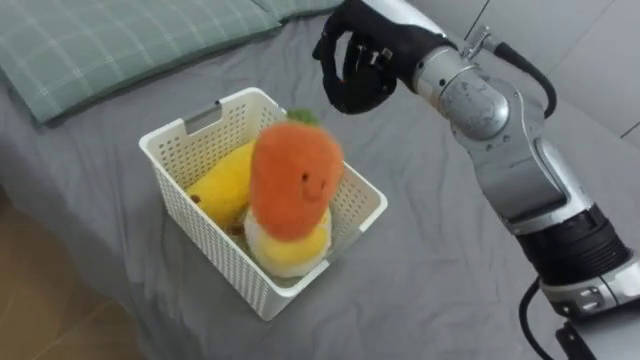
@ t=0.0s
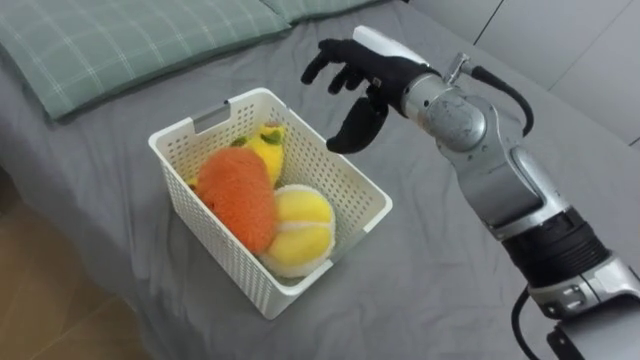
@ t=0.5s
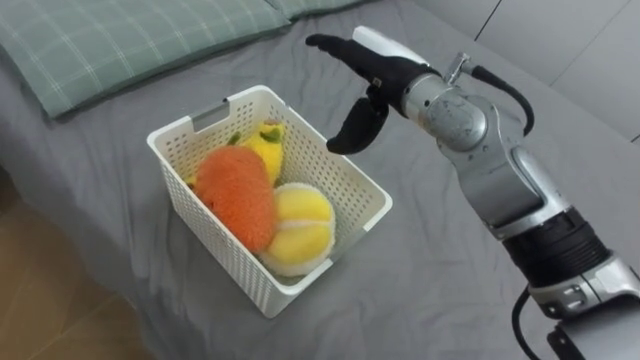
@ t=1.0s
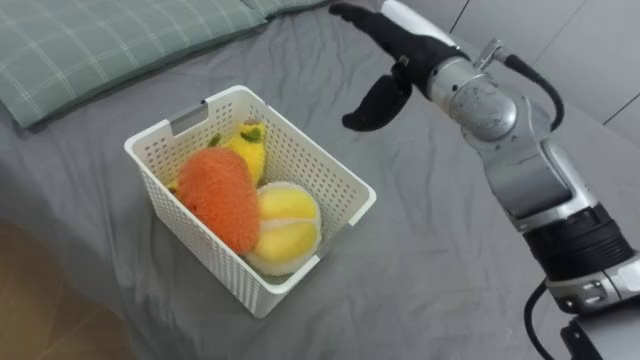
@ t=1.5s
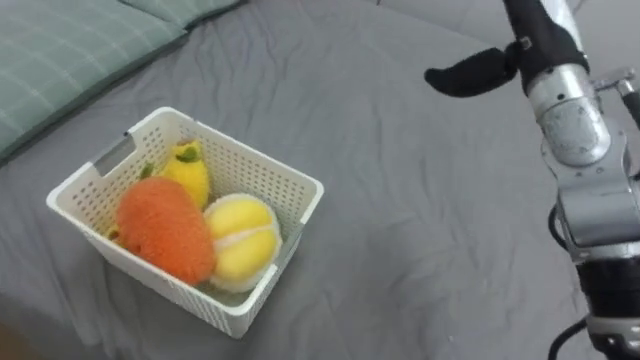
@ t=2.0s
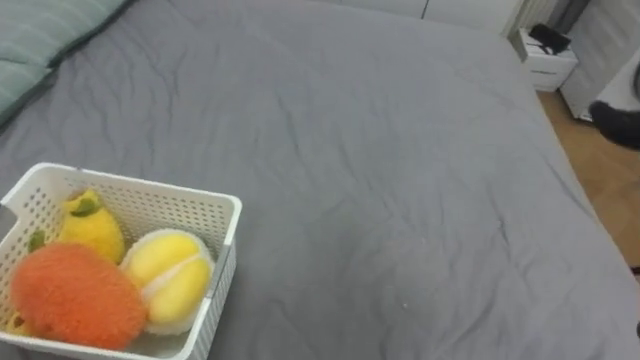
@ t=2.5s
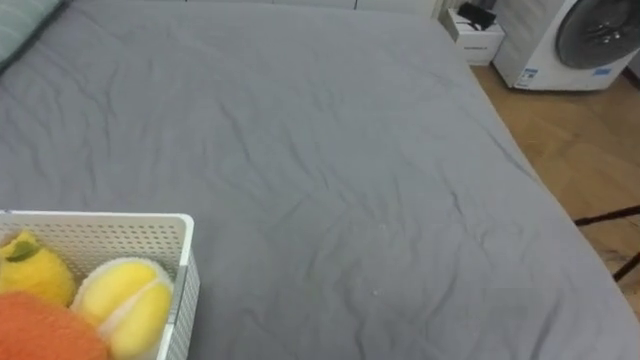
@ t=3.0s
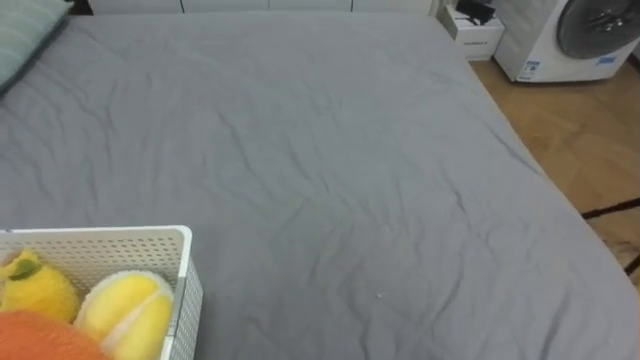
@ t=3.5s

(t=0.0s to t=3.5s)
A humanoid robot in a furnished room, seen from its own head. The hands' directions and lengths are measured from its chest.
Task of the whole recording: Put the toys on the bed into the basket on the left.
t=0.0s - t=2.0s: The right hand heads to the right, covering roughly 15 cm, and opens.

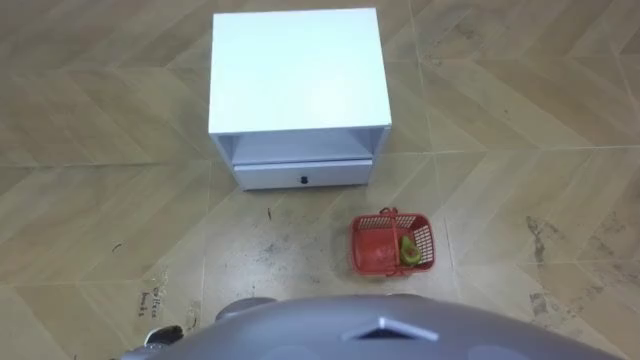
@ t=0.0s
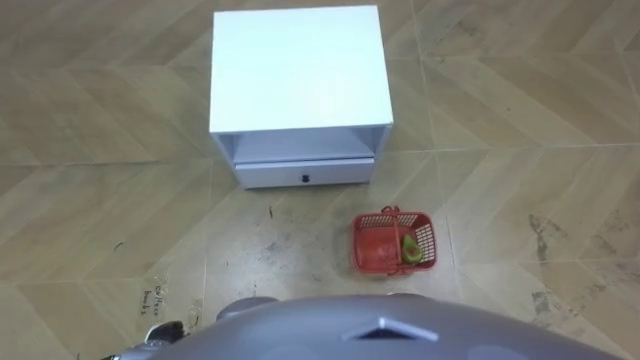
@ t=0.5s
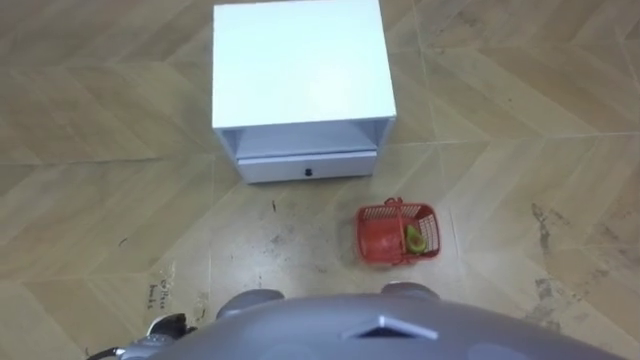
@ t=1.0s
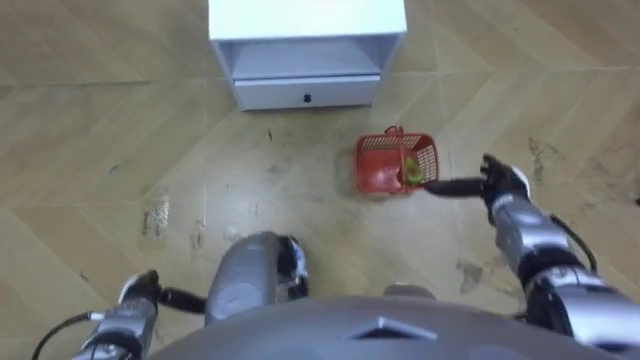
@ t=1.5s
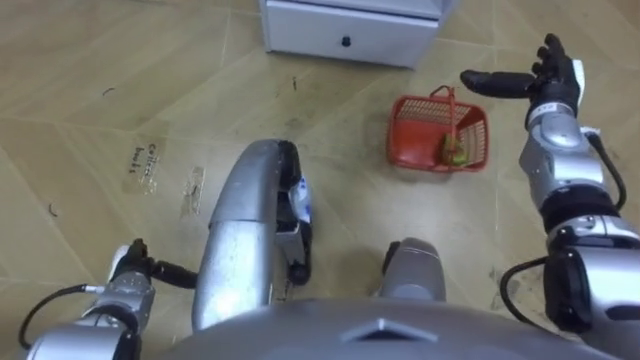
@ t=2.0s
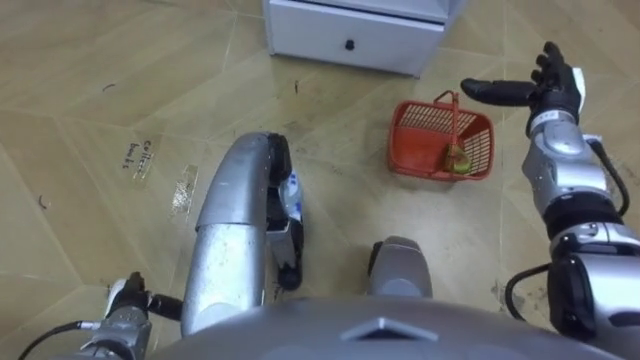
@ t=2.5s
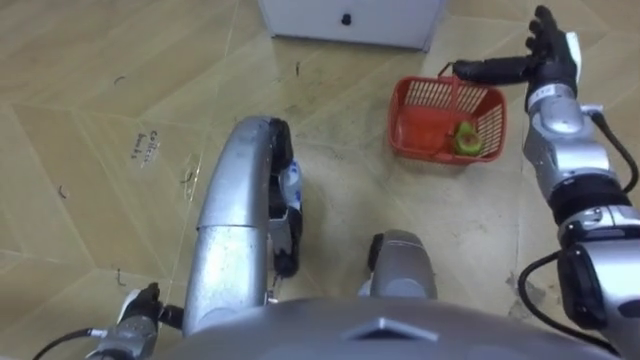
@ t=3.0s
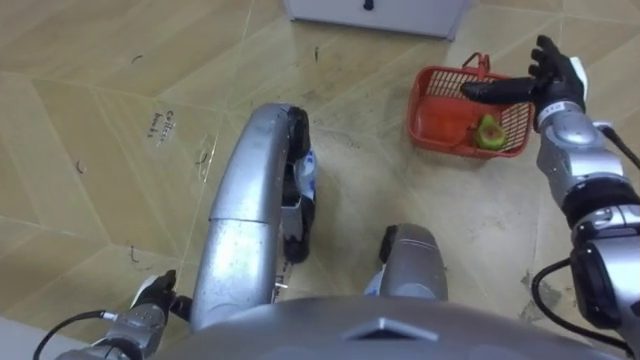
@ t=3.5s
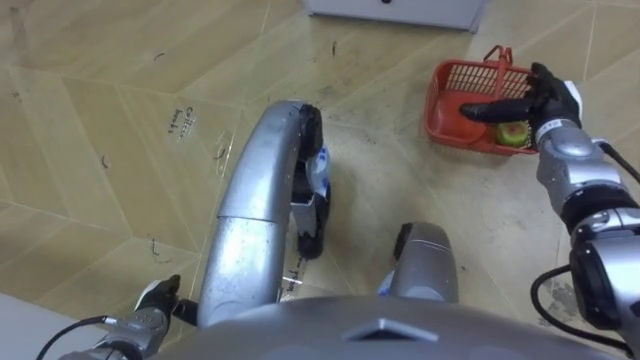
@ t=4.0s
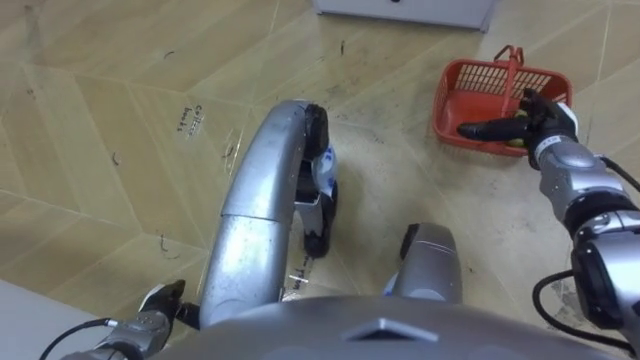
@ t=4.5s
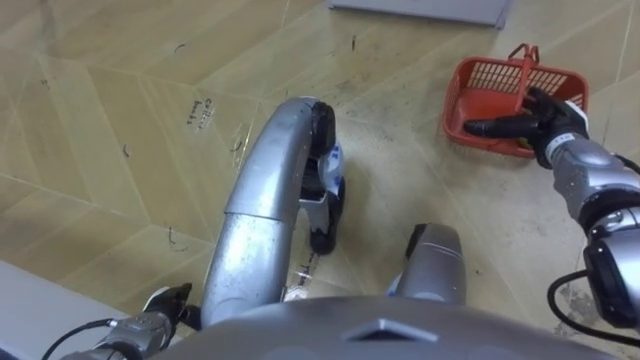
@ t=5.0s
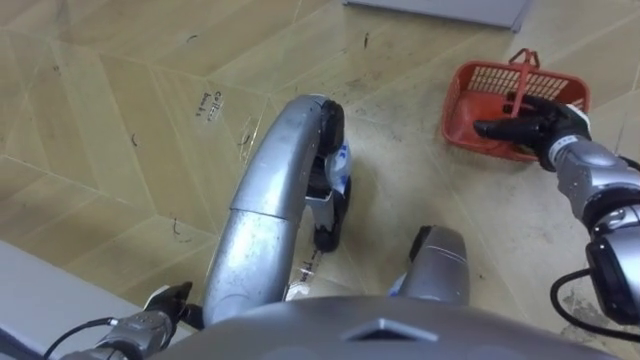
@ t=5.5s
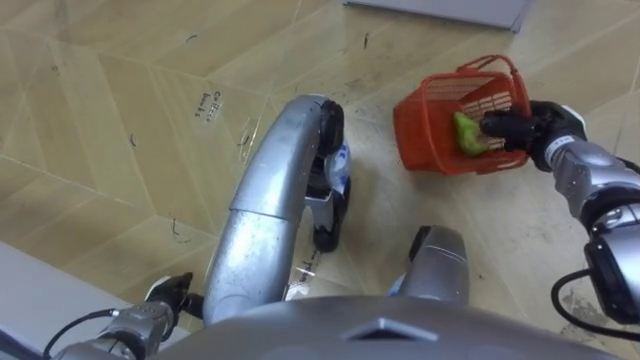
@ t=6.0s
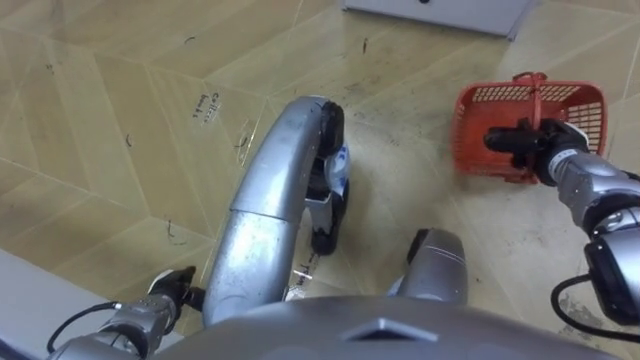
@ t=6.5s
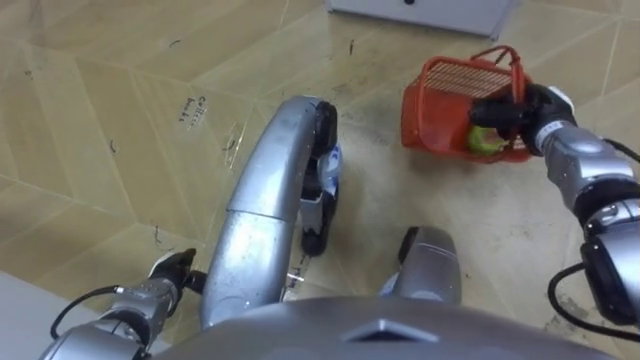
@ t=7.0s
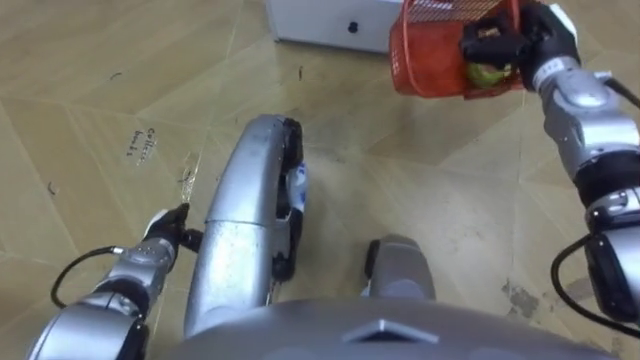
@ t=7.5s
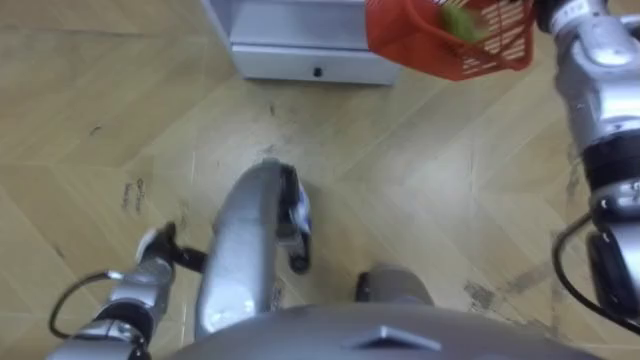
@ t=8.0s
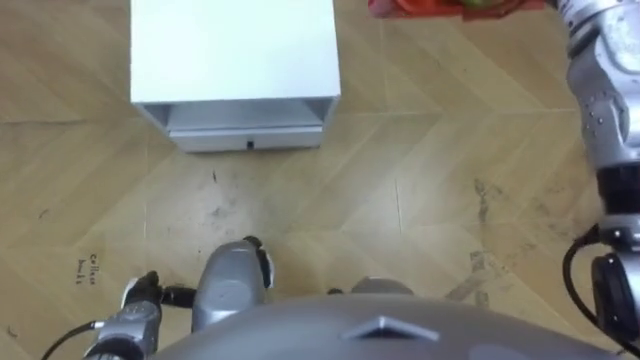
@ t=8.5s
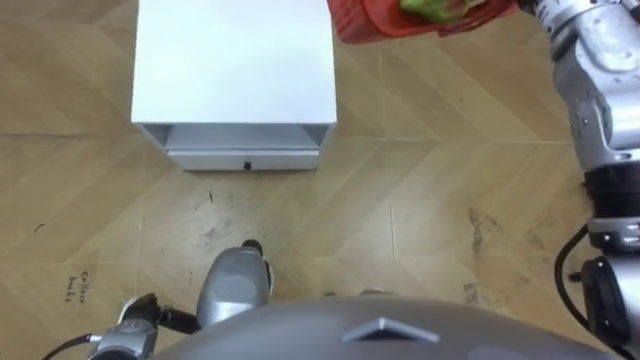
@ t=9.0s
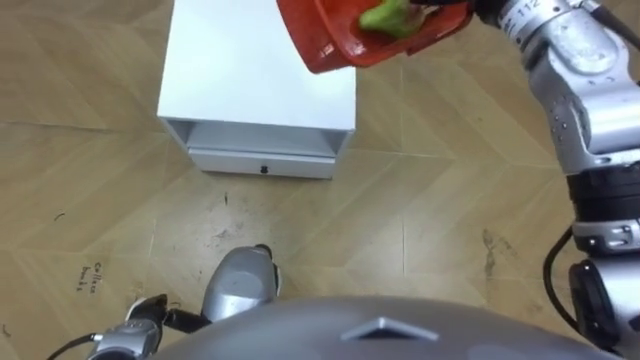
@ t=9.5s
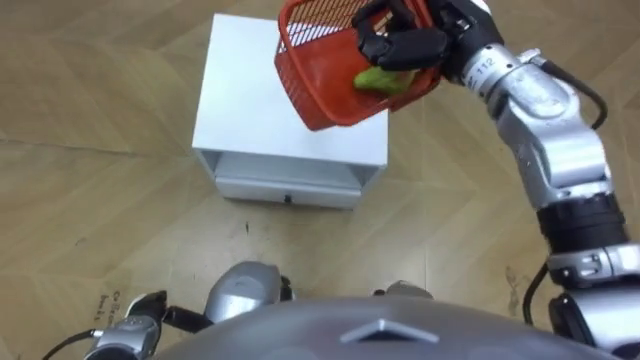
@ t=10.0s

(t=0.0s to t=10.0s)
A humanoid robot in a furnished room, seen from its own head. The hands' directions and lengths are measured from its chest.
Task of the whole recording: Pick up the fruit basket from the floor and place it on the cabinet.
t=2.0s - t=4.0s: The left hand shifts roughly 5 cm backward.
t=4.0s - t=6.0s: The right hand closes its fingers.
t=6.0s - t=8.0s: The left hand moves forward, approximately 5 cm.
t=8.0s - t=10.0s: The left hand shifts about 10 cm backward.

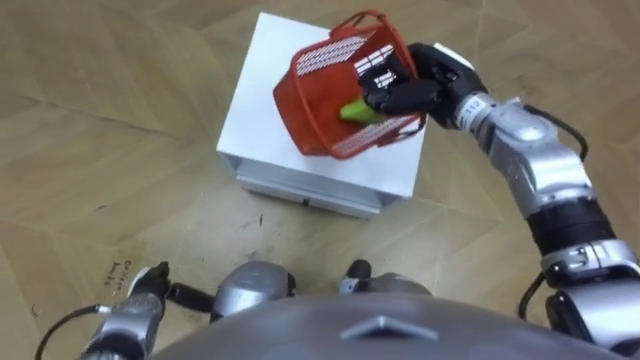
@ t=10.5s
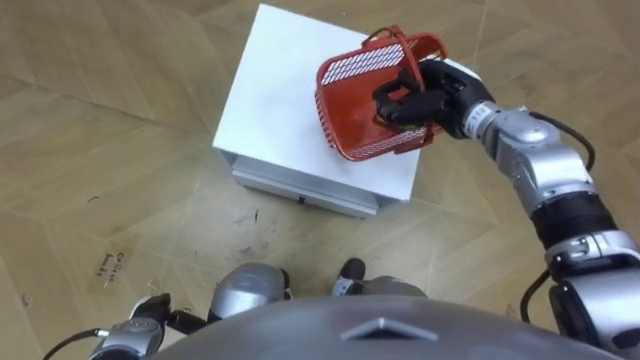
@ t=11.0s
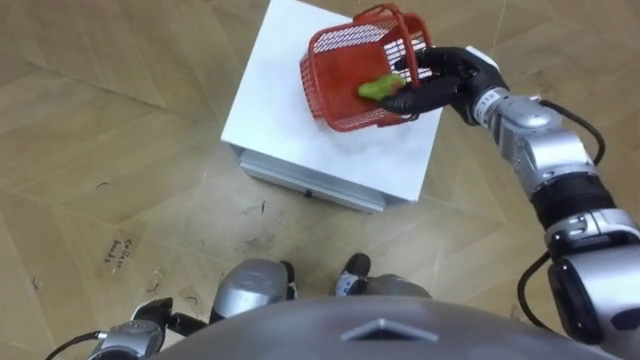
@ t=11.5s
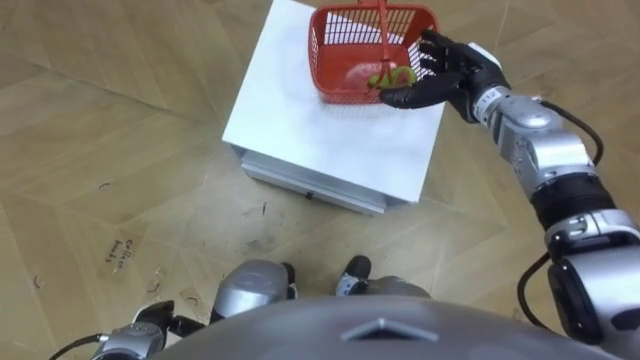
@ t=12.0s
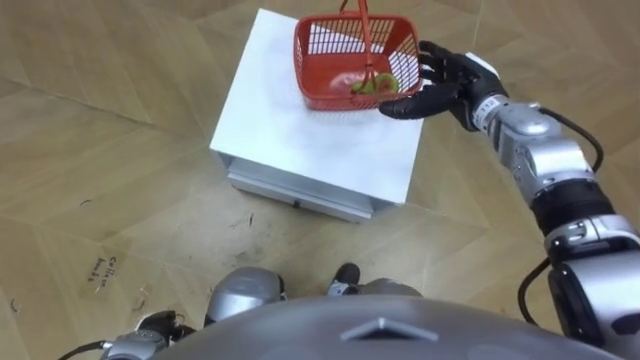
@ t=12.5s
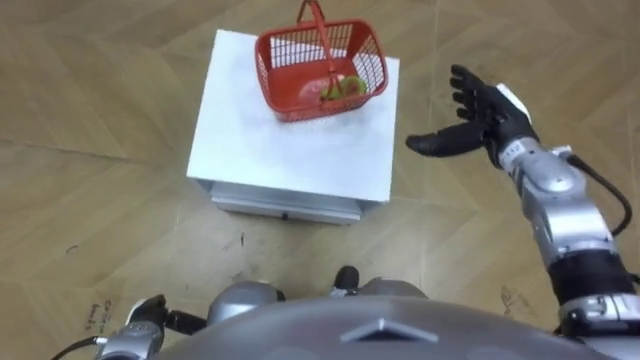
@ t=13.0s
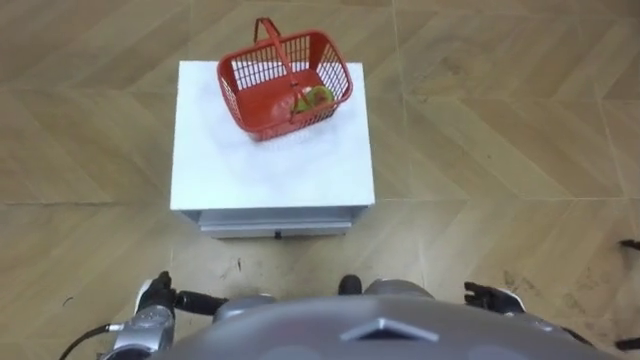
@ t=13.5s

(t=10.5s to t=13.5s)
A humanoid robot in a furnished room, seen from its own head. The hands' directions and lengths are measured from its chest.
Task of the whole recording: Pick up the fruit basket from the floor and place it on the cabinet.
t=10.5s - t=12.0s: The right hand changes place by approximately 5 cm, and opens its fingers.
t=12.0s - t=13.5s: The right hand goes some 35 cm backward and downward.

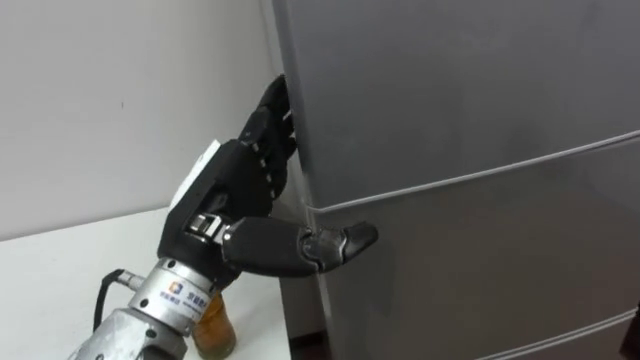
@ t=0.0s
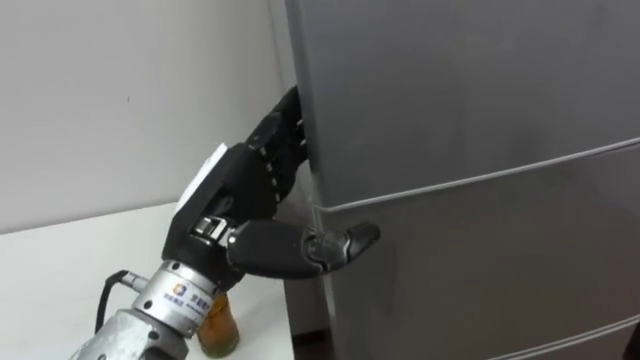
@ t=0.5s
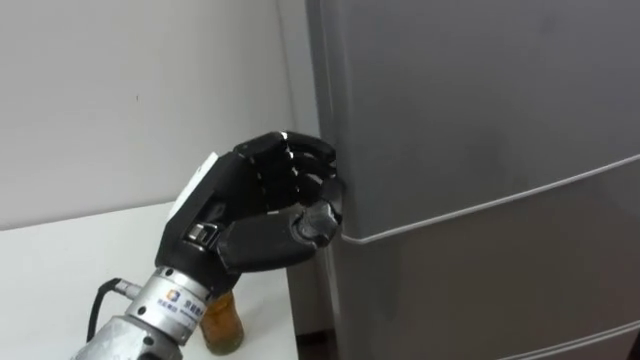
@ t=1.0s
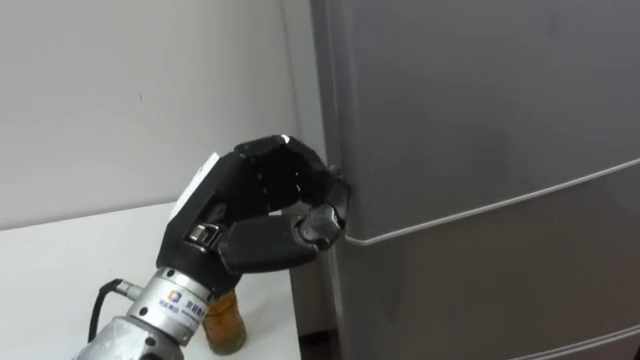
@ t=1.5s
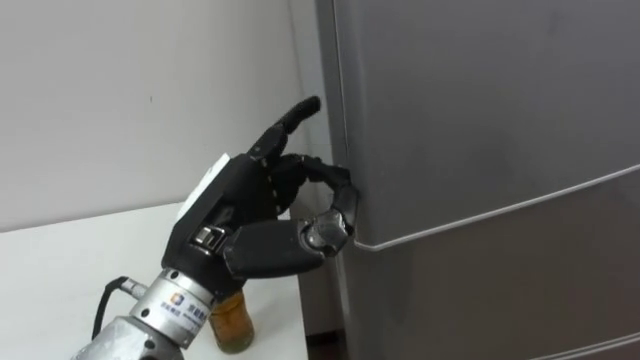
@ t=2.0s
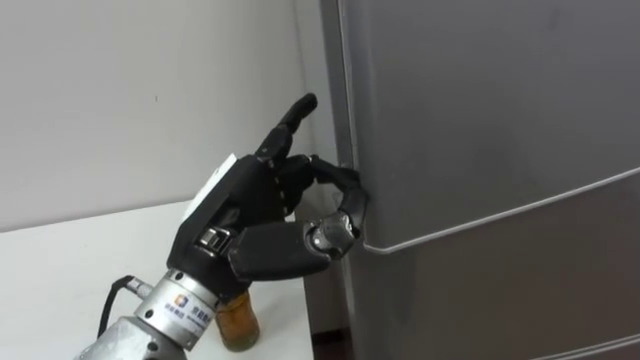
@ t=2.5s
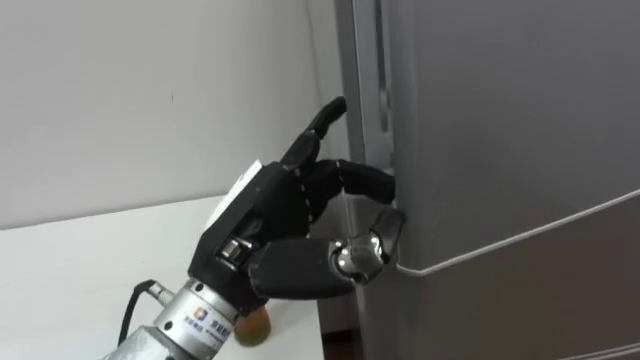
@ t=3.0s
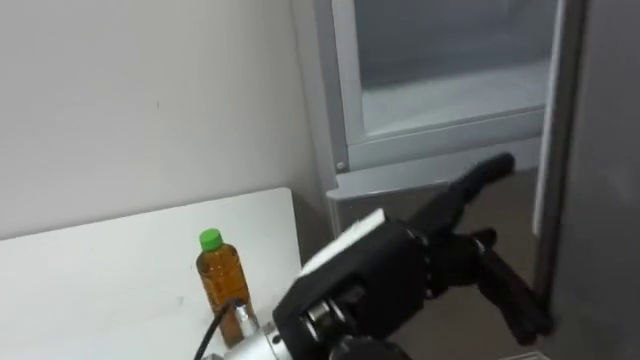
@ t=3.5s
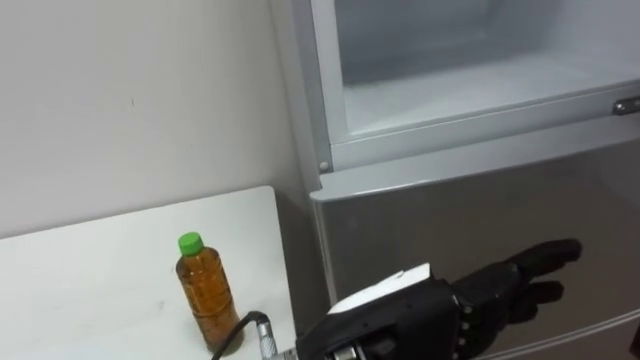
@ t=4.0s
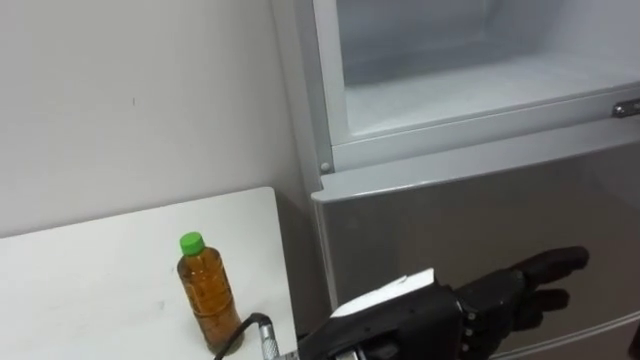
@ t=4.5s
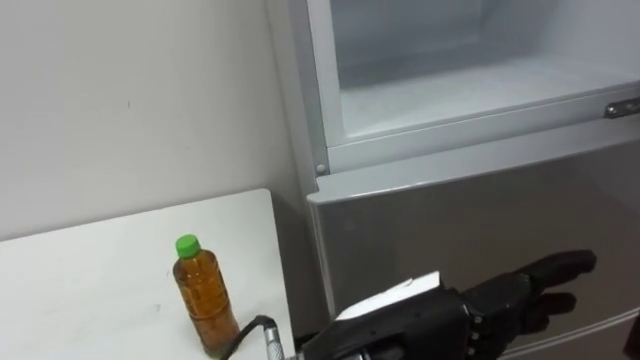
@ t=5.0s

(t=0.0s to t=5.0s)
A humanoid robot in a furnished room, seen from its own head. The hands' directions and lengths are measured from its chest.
Task of the whole recording: Open the upper refrigerator door, put the drink from the table into the refrigerator, and then close the refrigerator door.
t=0.0s - t=2.5s: The left hand closes, then reopens.
t=2.5s - t=5.0s: The left hand is displaced to the right and backward by some 15 cm.
